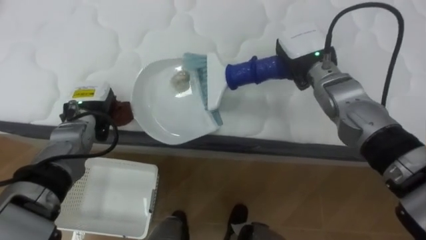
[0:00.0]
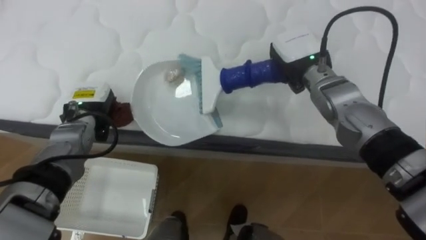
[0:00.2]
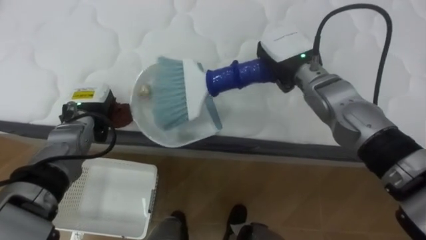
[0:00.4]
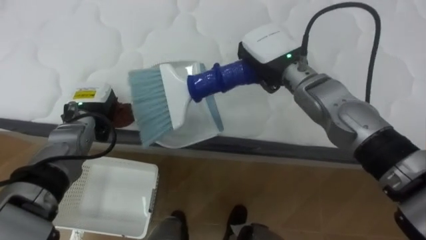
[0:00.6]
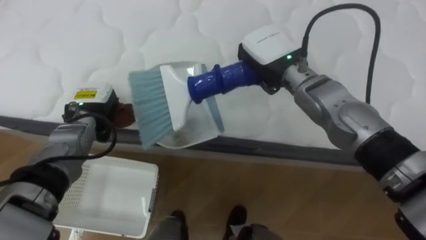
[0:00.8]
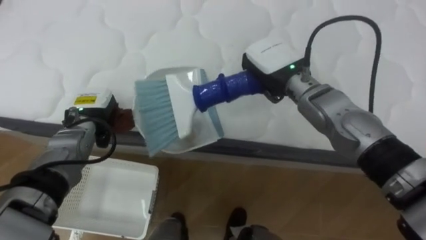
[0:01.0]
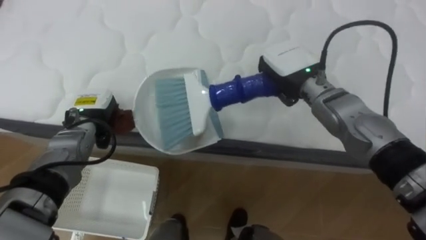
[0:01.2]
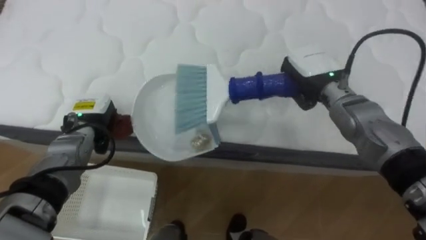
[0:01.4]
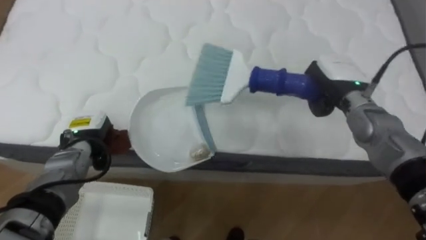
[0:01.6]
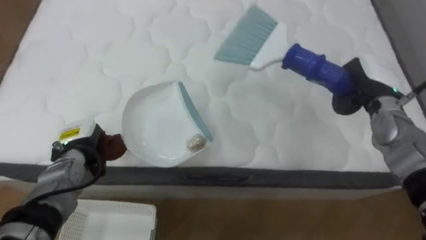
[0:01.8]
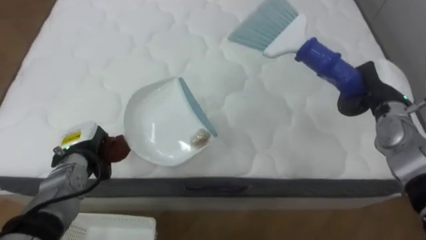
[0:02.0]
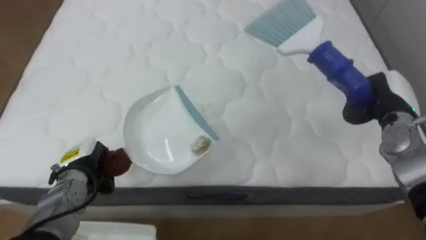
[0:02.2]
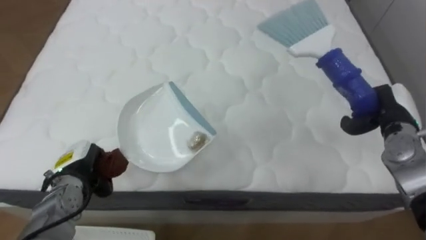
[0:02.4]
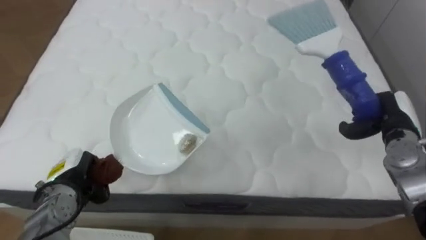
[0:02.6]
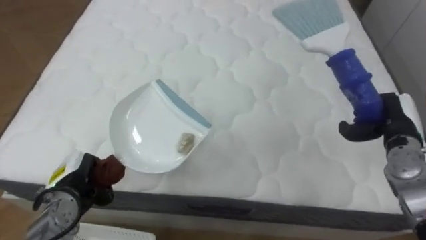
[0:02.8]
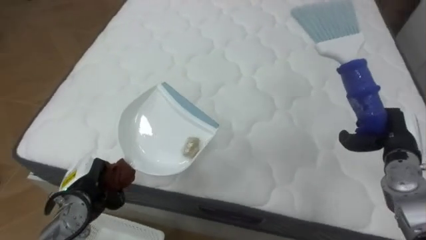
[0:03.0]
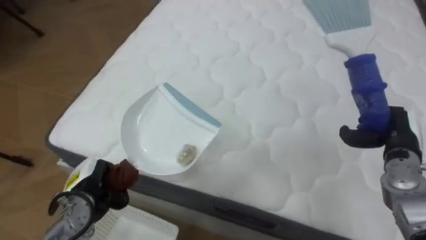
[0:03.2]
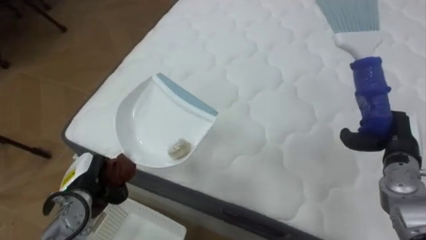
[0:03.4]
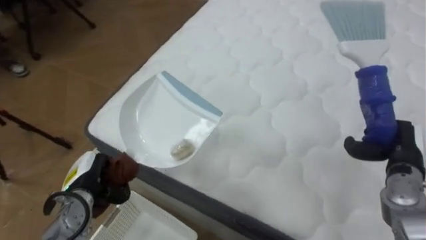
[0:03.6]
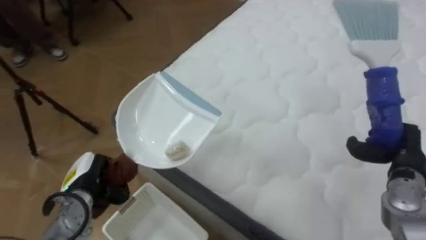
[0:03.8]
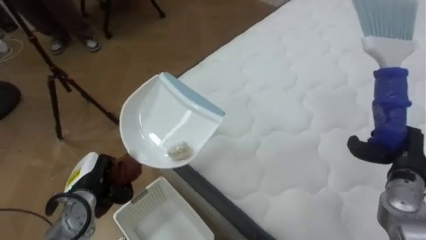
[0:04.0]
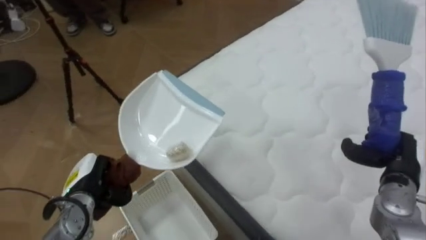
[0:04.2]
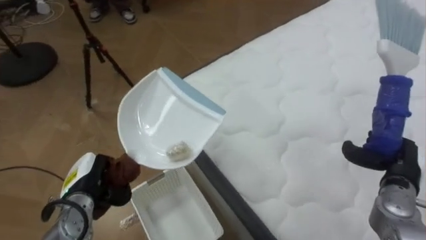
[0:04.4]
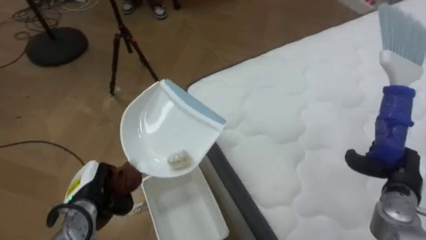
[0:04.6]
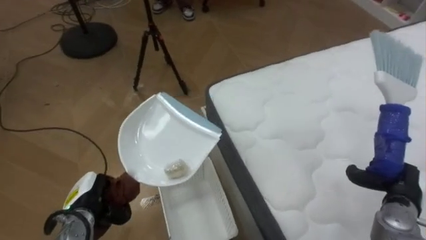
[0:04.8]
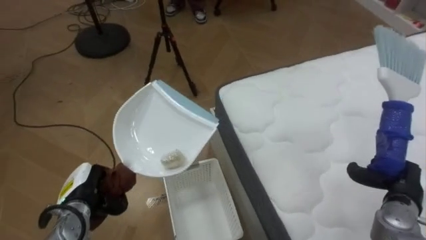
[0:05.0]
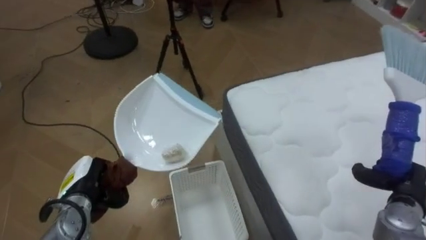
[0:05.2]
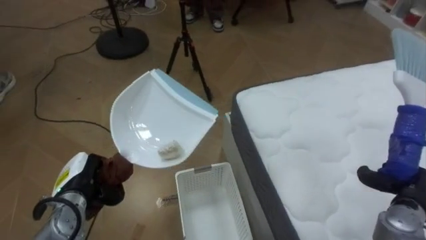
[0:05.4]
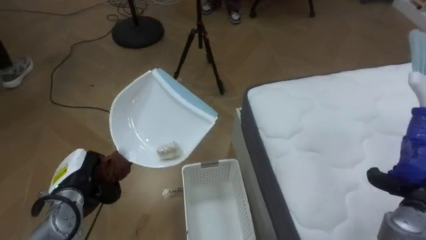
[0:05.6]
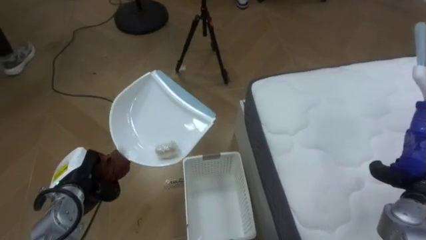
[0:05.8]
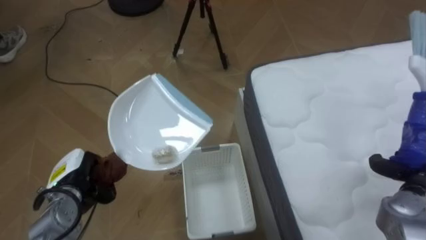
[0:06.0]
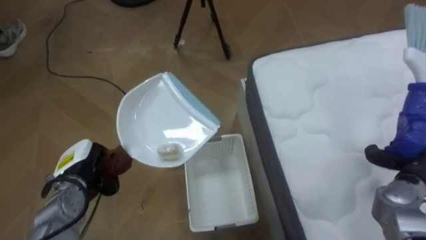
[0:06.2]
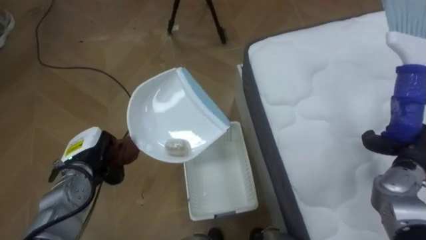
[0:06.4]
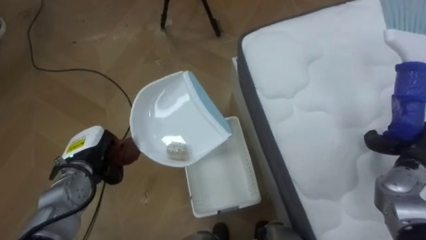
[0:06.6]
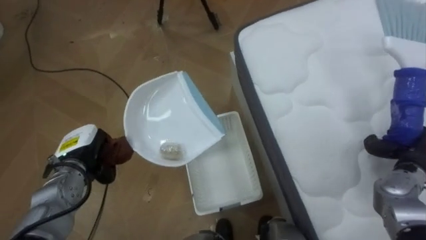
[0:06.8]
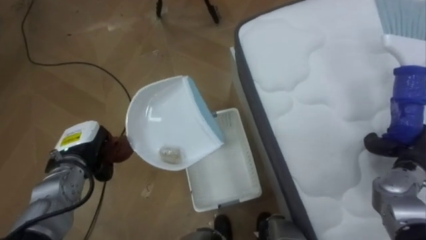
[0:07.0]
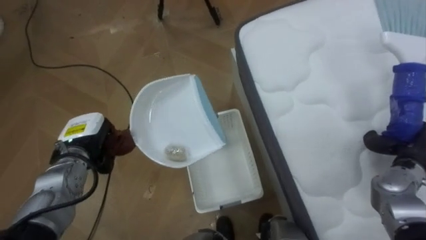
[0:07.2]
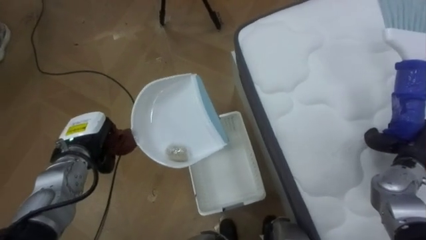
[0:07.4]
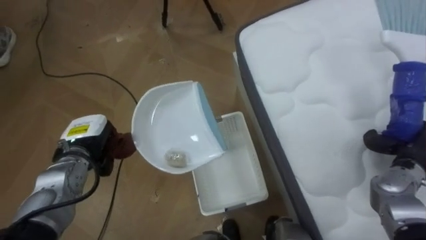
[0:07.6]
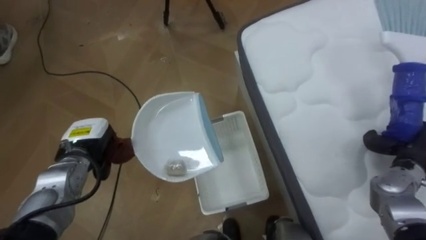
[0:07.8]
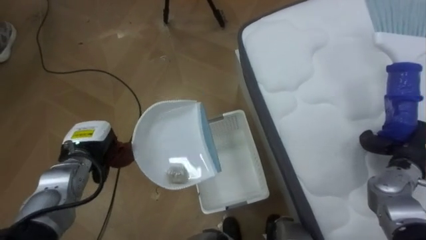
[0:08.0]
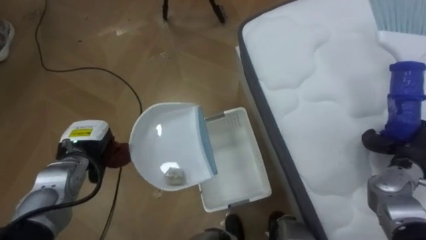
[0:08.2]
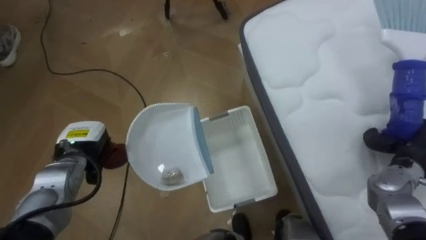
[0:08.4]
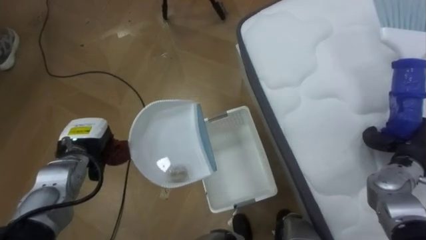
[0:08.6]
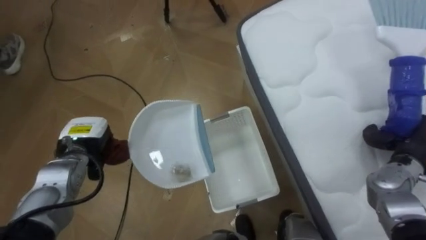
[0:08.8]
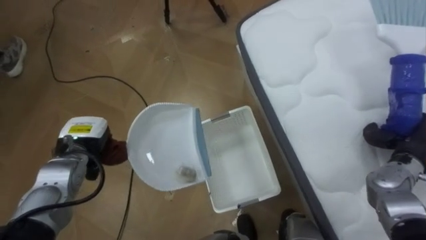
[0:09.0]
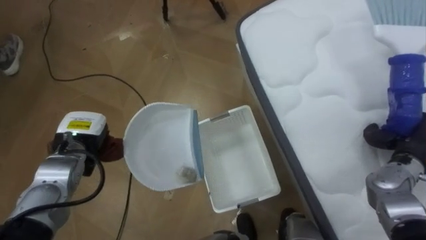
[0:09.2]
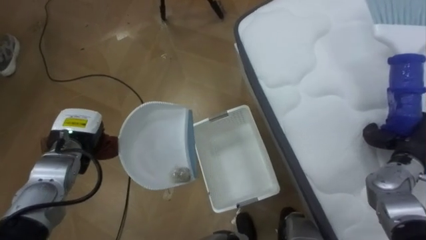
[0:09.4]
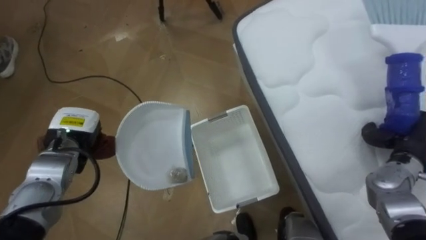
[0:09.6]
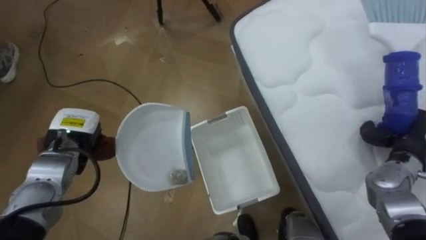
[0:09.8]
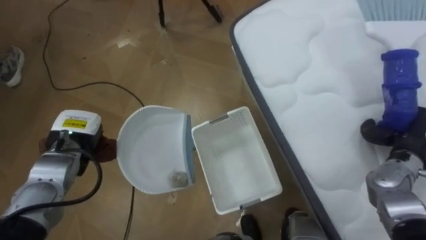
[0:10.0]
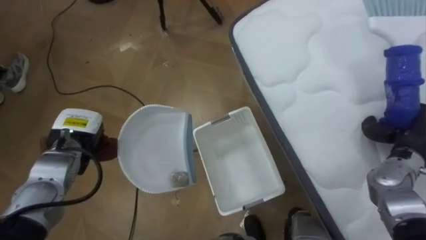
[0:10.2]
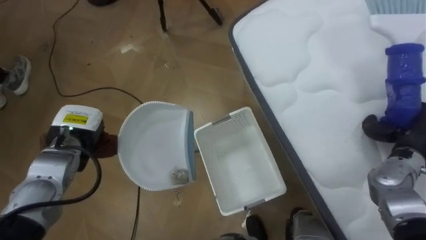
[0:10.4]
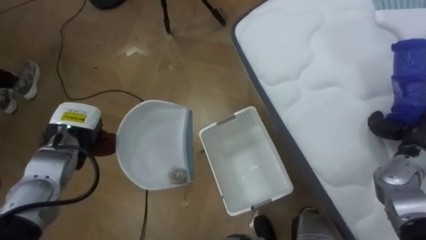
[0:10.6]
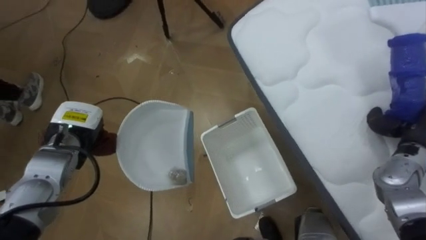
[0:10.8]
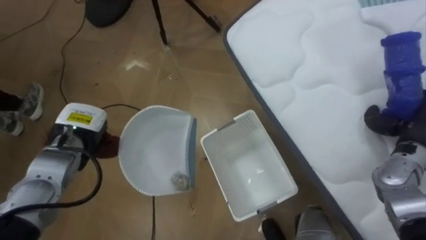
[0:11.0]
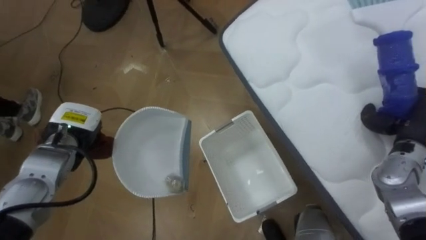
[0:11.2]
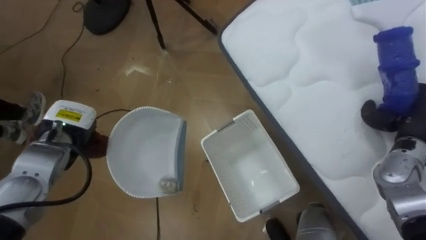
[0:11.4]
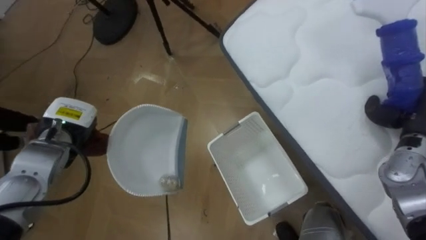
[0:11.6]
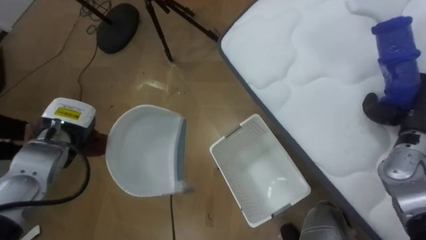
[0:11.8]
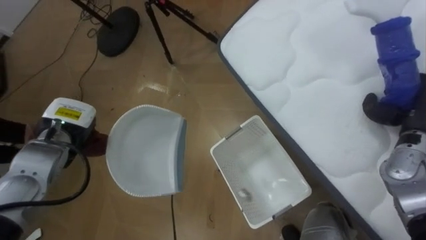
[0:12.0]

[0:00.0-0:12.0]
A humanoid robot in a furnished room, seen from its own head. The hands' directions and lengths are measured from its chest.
Task of the whole recording: Pick up the brush on your right and the dustpan on your left. Use the brush to sweep the crumpled paper on the bed into the dustpan, then turn left and empty it into the basket.
0:00.0 to 0:01.6: The left hand changes place by roughly 5 cm; the right hand heads to the right, covering about 5 cm.
0:01.6 to 0:03.0: The left hand shifts about 10 cm backward and downward, while the right hand heads to the right, backward and downward, covering about 15 cm.
0:03.0 to 0:04.4: The robot's body swings some 45 degrees to its left. The right hand ends up some 5 cm from where it was.
0:04.4 to 0:06.0: The robot rotates roughly 25 degrees to its left. The right hand moves approximately 5 cm.
0:06.0 to 0:07.6: The left hand travels forward by about 5 cm; the right hand changes place by about 5 cm.

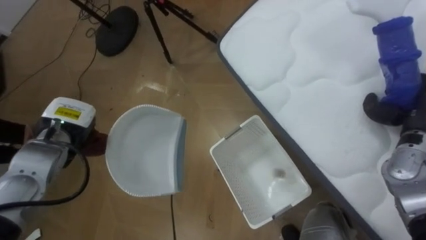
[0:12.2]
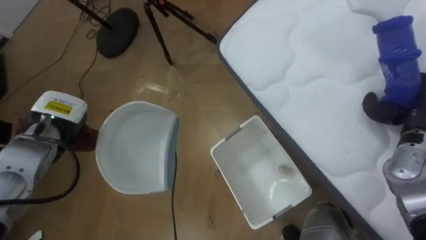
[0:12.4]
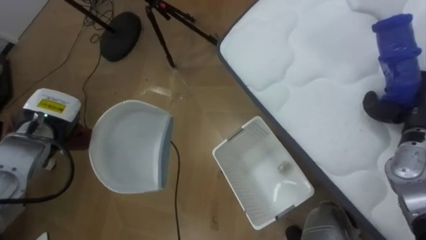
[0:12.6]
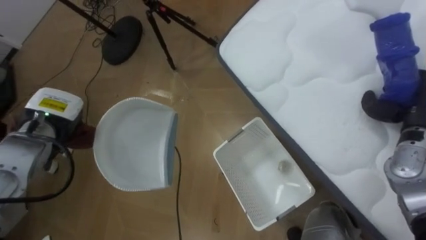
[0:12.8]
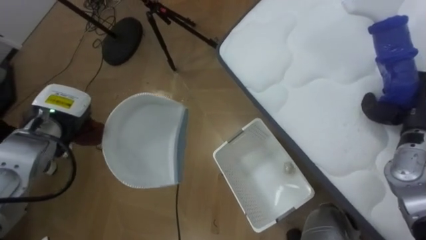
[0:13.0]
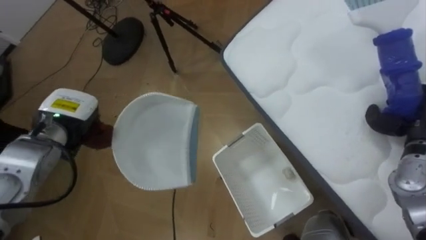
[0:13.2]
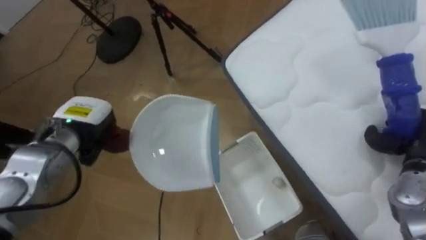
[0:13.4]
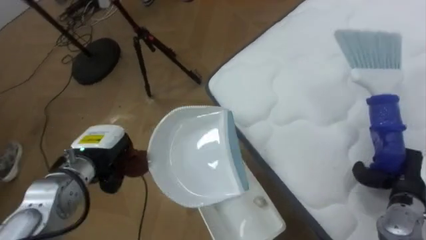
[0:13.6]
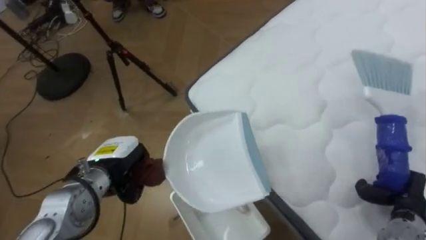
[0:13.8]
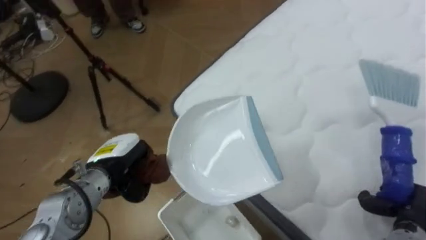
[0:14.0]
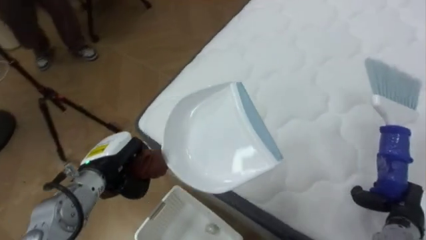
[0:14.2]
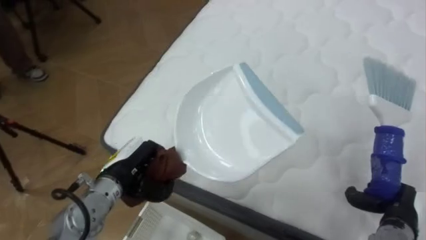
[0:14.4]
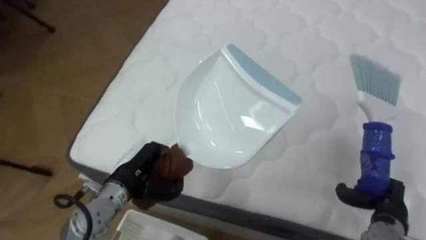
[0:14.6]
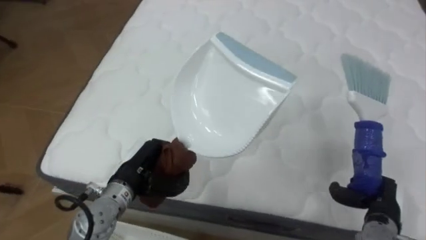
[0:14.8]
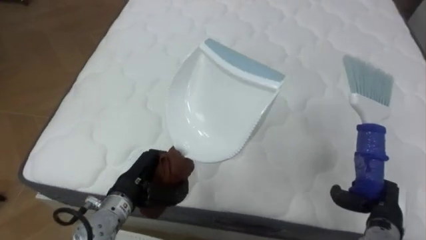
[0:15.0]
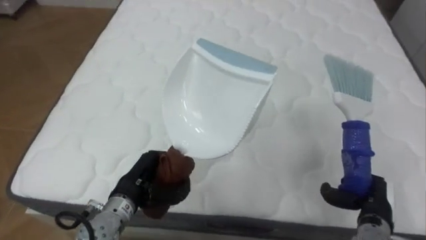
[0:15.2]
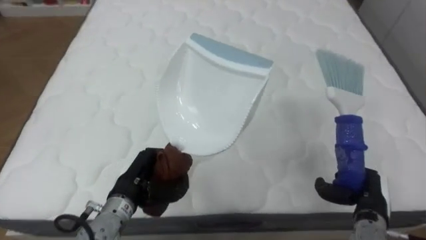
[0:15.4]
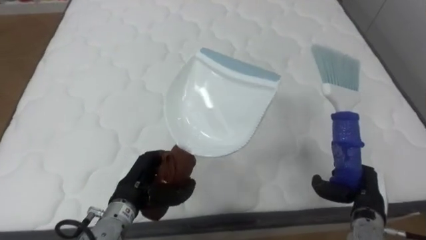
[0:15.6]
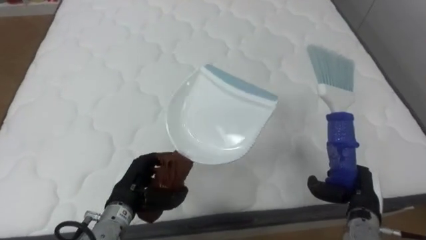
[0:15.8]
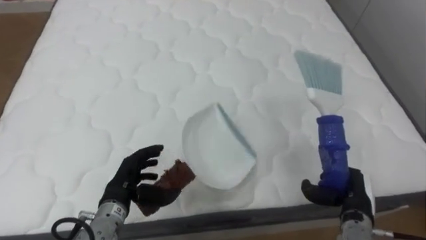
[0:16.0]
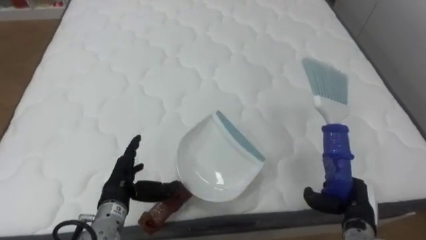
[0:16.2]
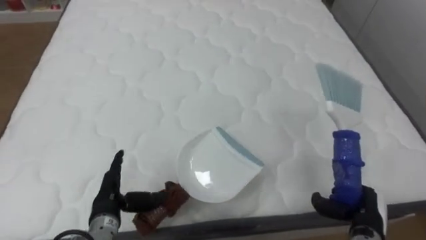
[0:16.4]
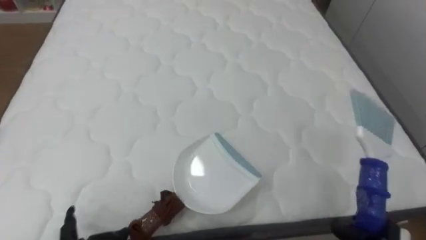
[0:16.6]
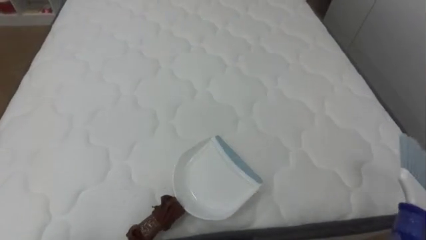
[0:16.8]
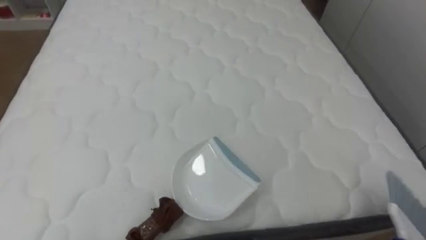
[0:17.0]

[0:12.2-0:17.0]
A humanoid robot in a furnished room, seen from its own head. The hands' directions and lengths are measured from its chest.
Task of the whole recording: Pick up the brush on your right and the dustpan on your left. Use the brush to sweep the crumpled paper on the bed into the dustpan, then turn left and empty it into the basket.
0:12.2 to 0:13.8: The robot rotates some 15 degrees to its right. The right hand shifts roughly 15 cm downward and backward, while the left hand moves to the right and backward, about 10 cm.
0:13.8 to 0:15.4: The robot's body swings about 60 degrees to its right. The left hand ends up about 5 cm from where it was. Meanwhile the right hand goes approximately 5 cm to the left.
